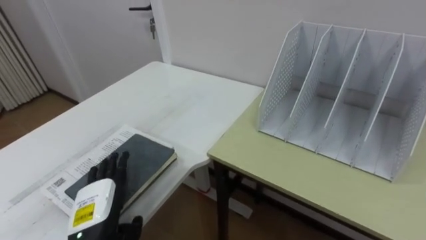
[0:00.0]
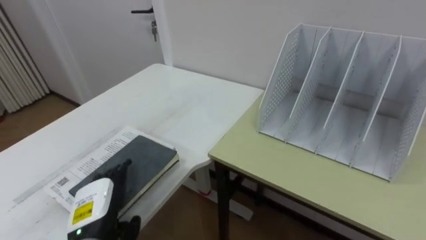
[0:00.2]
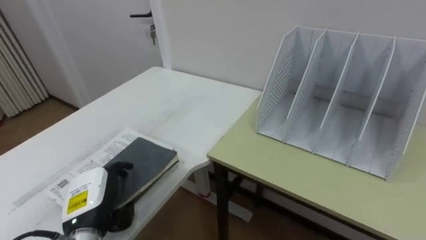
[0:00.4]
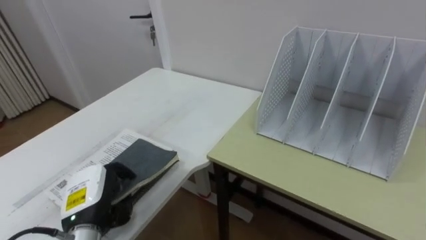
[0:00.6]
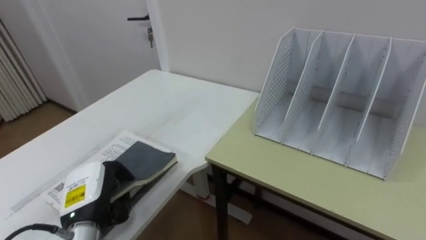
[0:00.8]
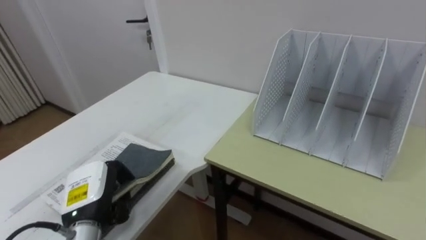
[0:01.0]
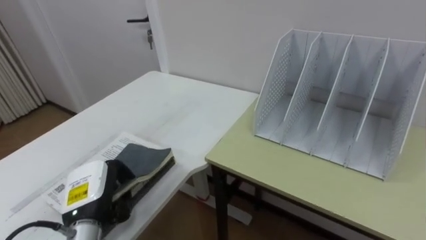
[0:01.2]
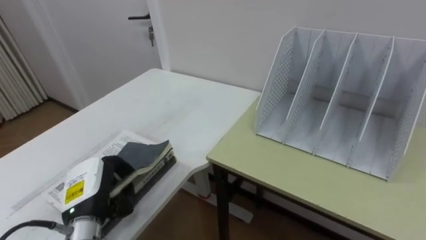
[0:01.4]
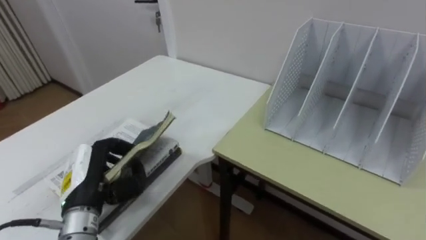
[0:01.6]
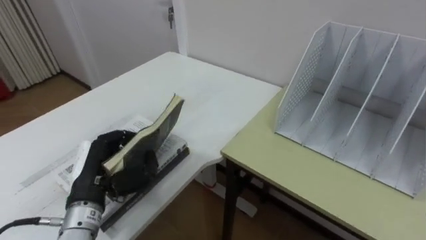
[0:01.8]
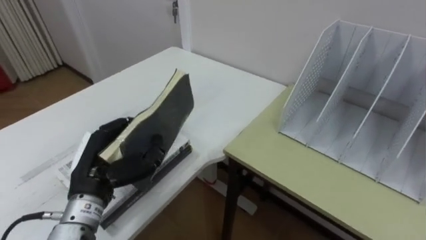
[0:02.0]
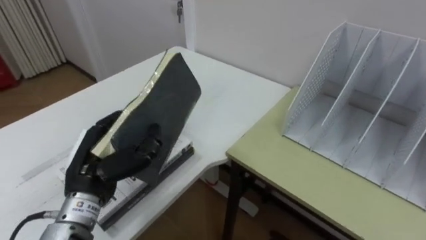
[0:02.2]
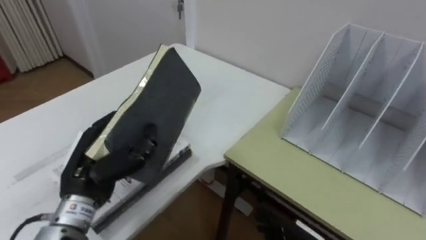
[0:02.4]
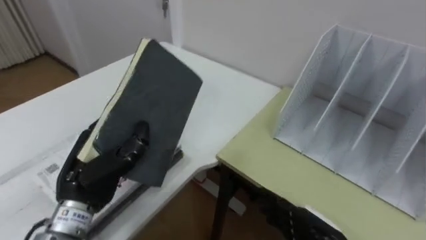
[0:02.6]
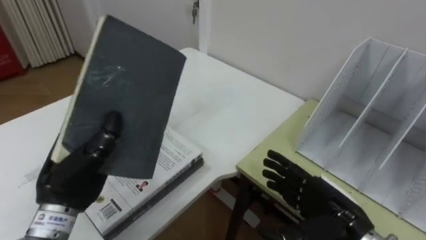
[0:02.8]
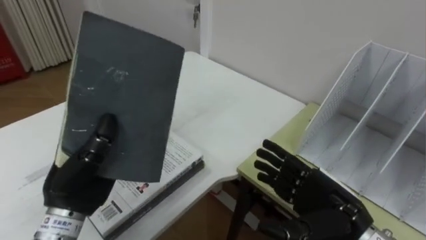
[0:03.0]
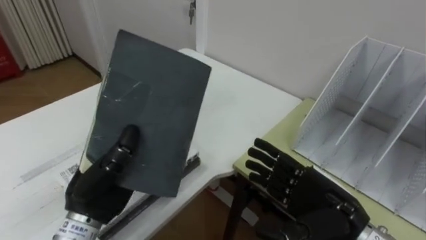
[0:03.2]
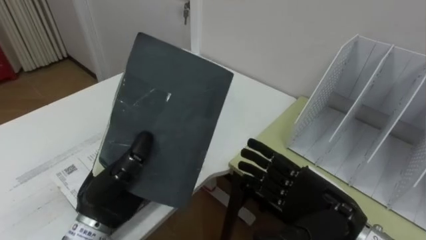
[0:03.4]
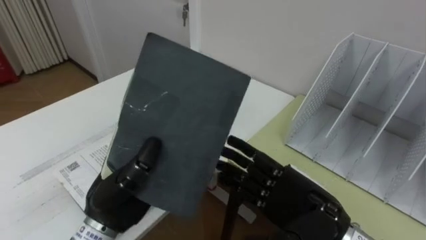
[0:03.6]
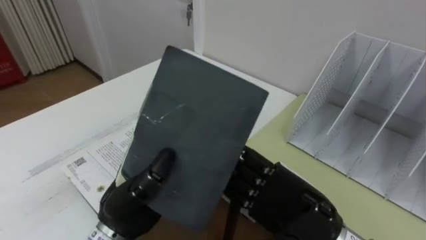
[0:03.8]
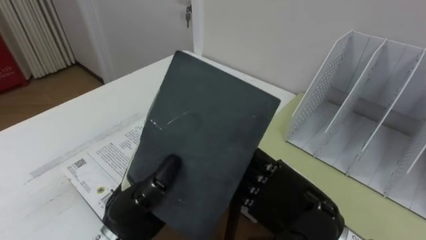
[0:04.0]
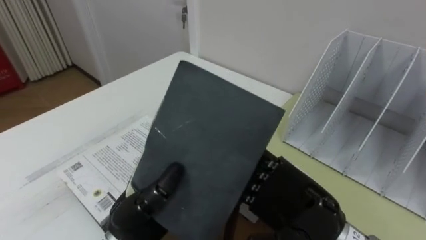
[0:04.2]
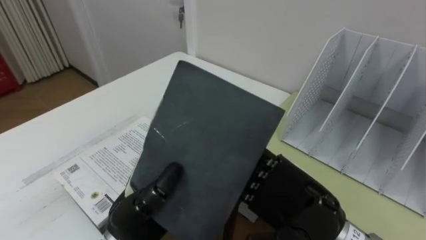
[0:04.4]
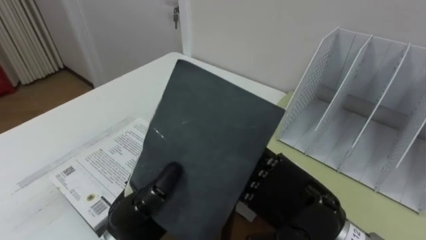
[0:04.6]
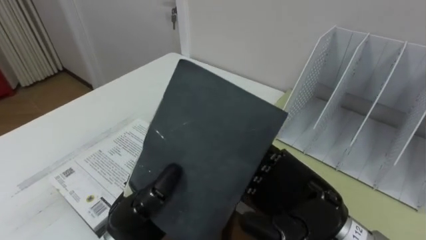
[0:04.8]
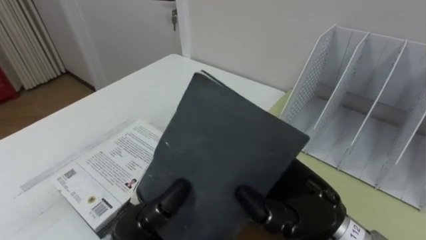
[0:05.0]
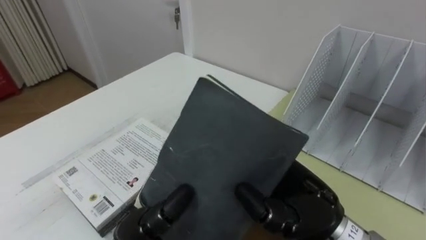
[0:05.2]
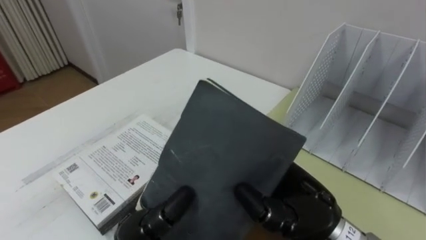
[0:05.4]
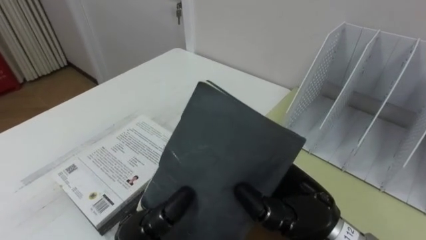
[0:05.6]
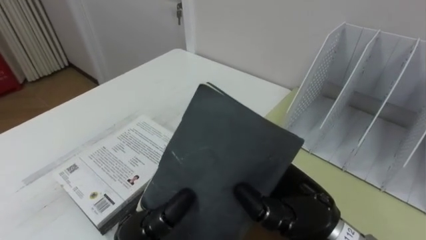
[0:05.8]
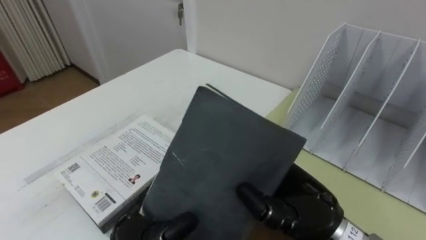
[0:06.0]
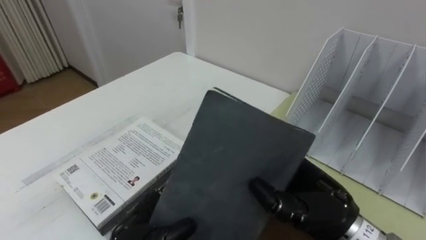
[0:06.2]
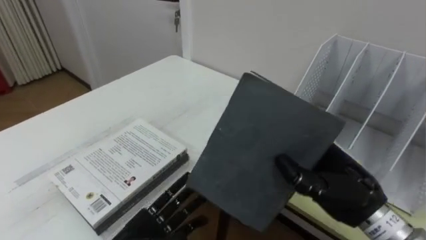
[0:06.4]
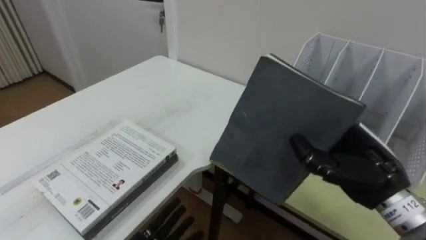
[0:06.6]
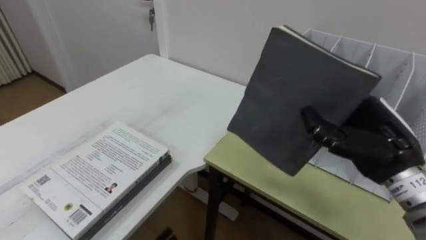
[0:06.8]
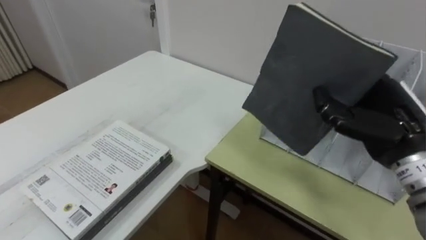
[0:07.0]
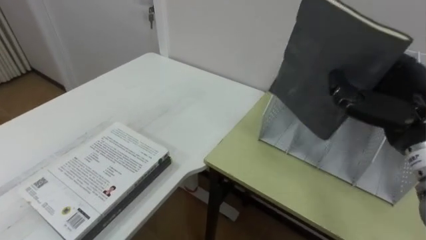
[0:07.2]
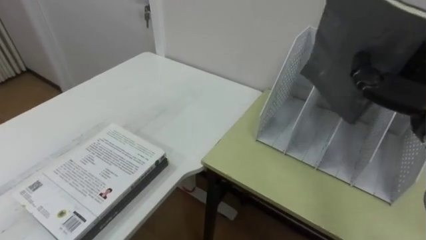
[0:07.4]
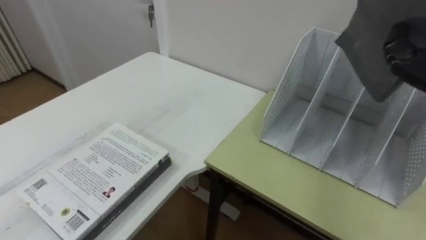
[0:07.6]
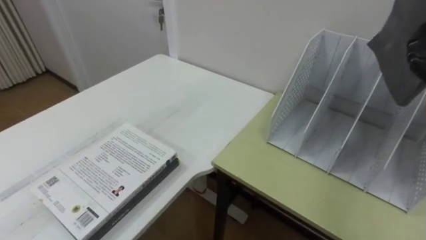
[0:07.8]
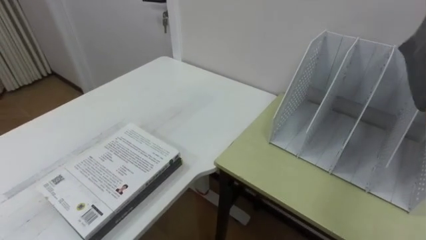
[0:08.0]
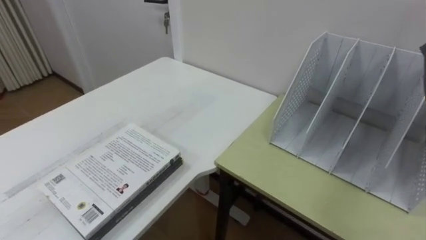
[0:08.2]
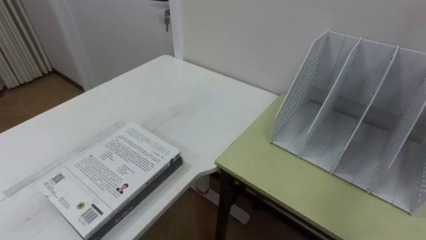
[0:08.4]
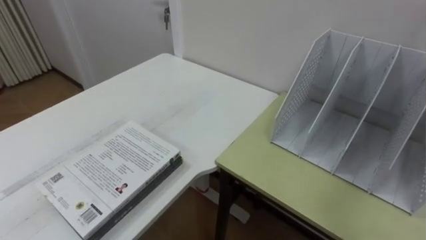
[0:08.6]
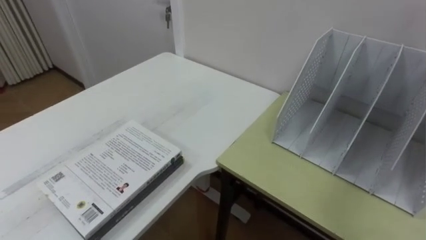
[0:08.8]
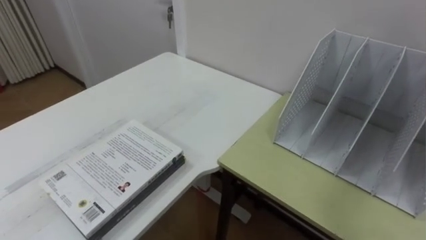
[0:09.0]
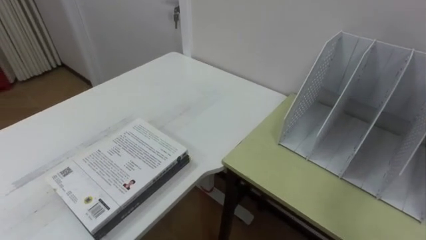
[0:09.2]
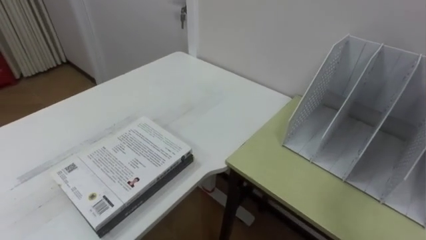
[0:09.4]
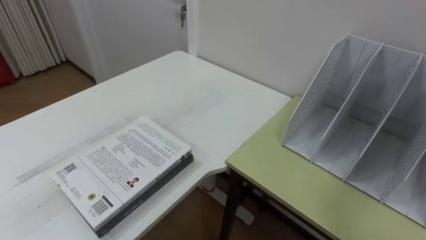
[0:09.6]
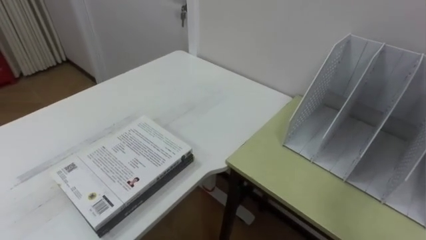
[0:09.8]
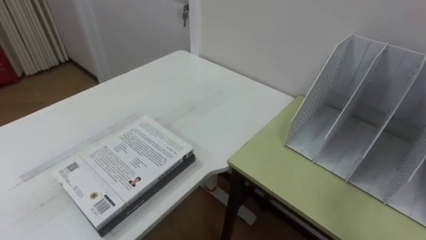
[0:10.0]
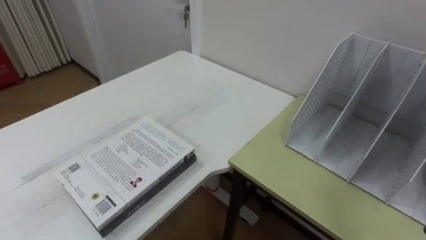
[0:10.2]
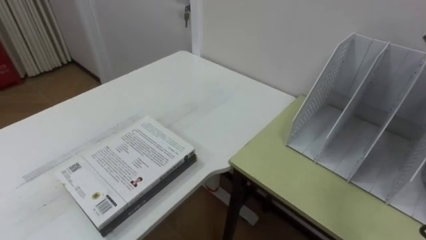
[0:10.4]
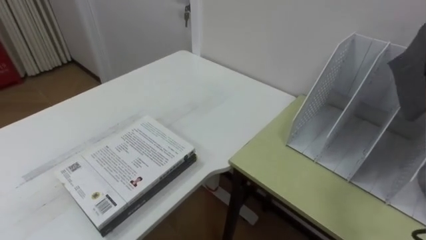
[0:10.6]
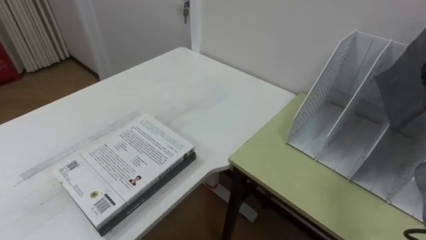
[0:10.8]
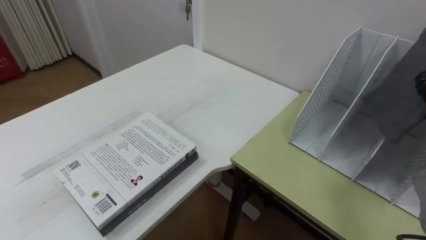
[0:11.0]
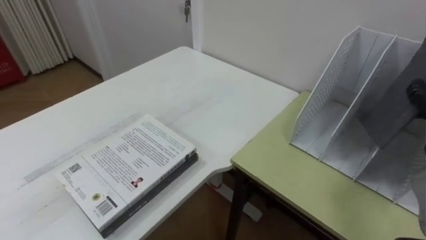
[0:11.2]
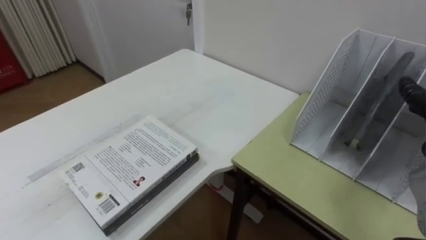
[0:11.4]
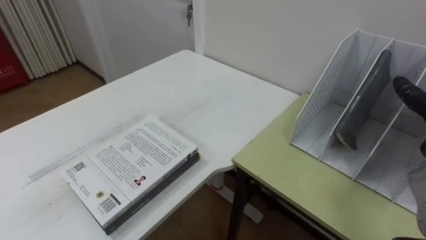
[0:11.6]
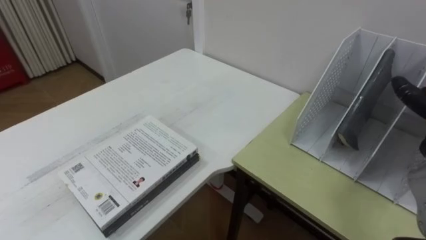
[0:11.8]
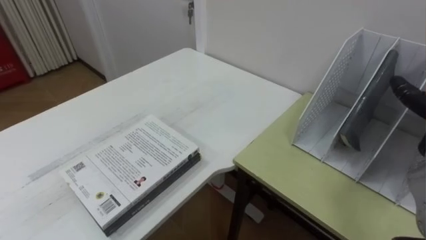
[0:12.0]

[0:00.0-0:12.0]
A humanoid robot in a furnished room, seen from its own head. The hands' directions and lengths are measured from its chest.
Task of the whole recording: Put the books on the table onto the bookshelf.
0:00.0 to 0:01.6: The left hand moves approximately 5 cm, and closes up.
0:01.6 to 0:03.0: The left hand heads upward, covering about 5 cm.
0:03.0 to 0:04.4: The left hand shifts about 10 cm to the right. Meanwhile the right hand goes approximately 10 cm to the left and upward.
0:04.4 to 0:06.0: The right hand closes.

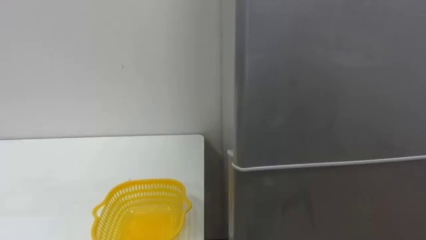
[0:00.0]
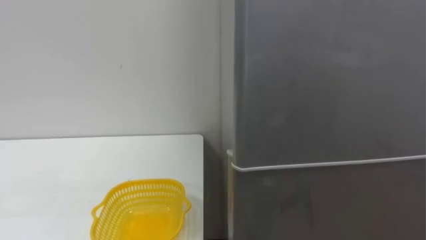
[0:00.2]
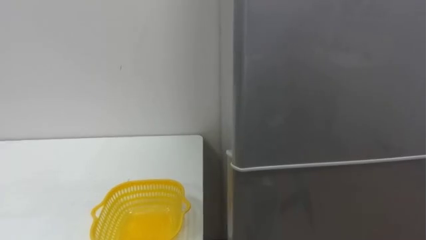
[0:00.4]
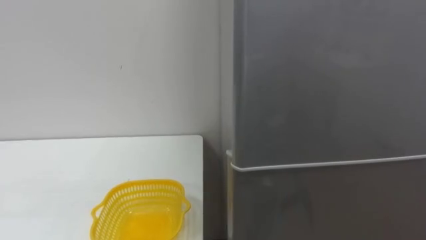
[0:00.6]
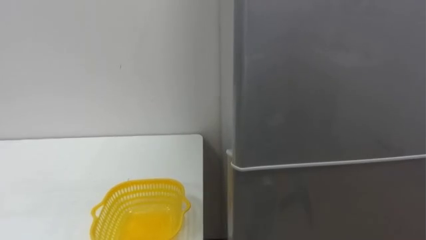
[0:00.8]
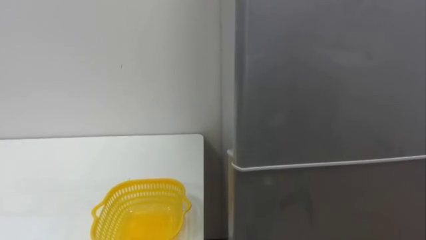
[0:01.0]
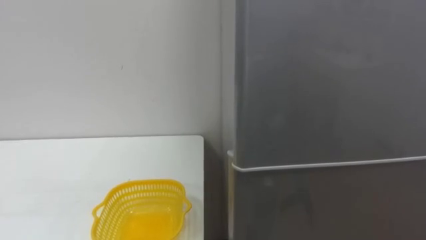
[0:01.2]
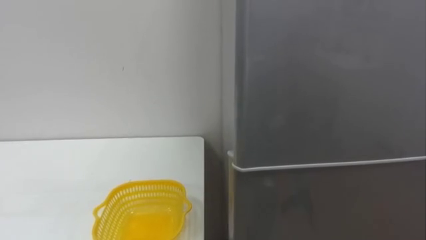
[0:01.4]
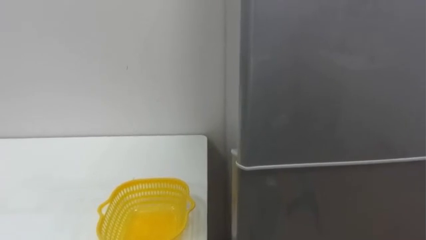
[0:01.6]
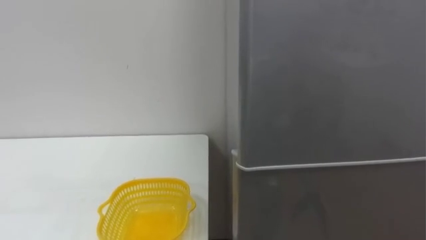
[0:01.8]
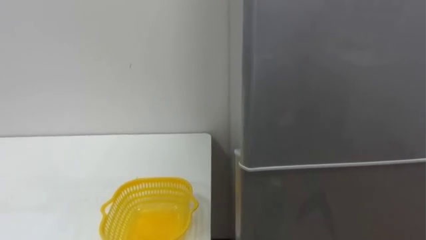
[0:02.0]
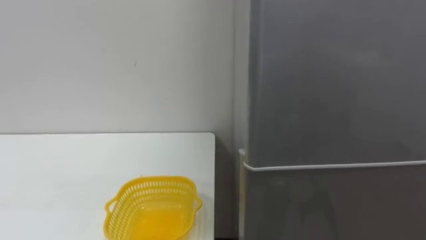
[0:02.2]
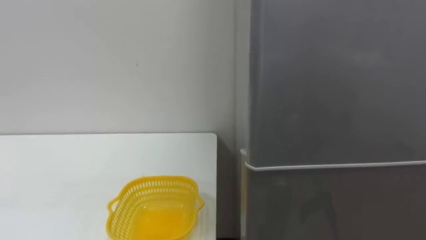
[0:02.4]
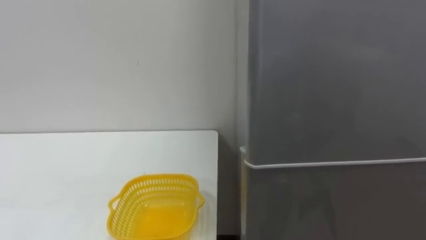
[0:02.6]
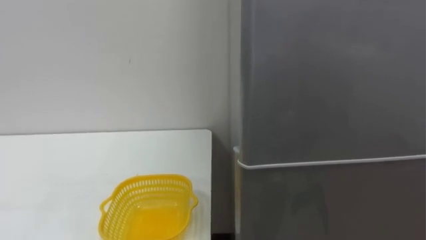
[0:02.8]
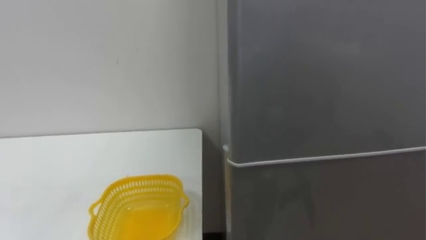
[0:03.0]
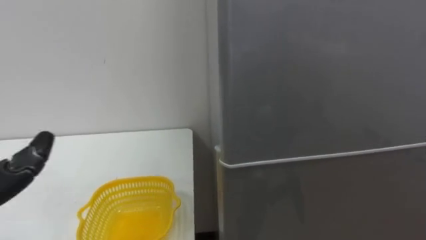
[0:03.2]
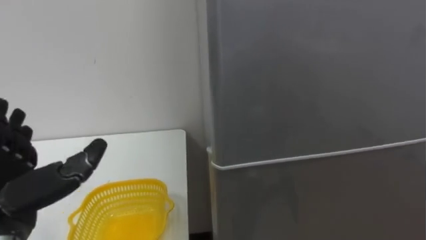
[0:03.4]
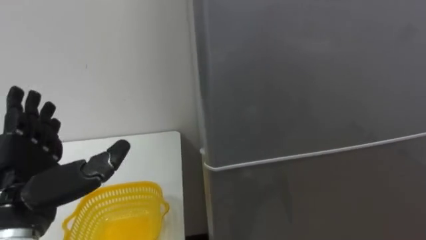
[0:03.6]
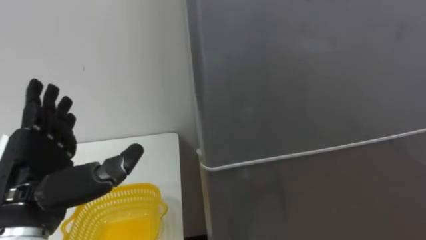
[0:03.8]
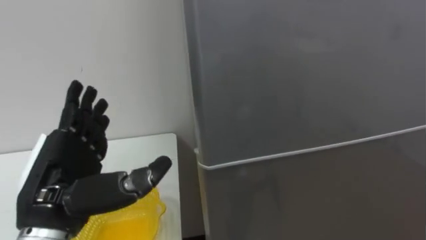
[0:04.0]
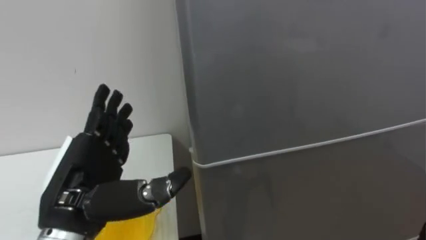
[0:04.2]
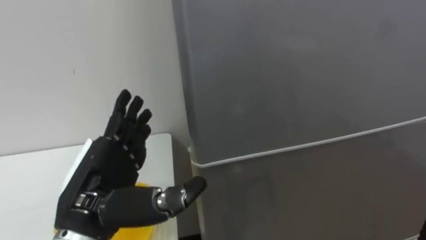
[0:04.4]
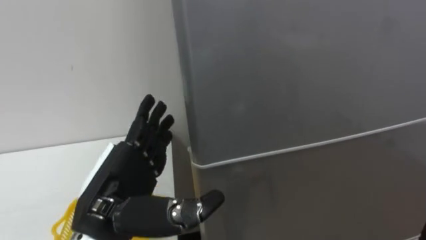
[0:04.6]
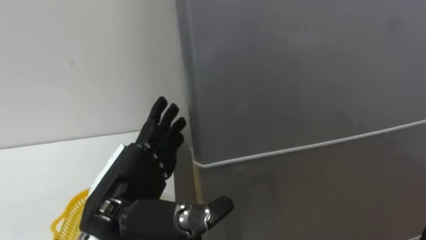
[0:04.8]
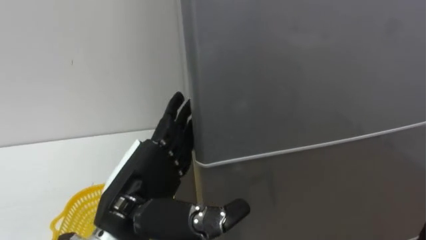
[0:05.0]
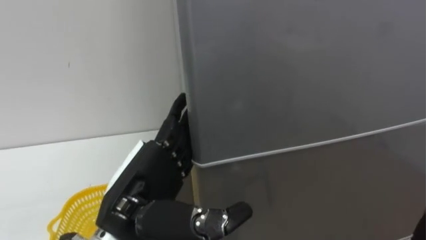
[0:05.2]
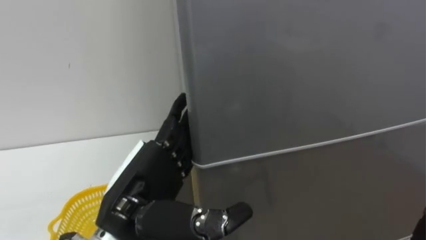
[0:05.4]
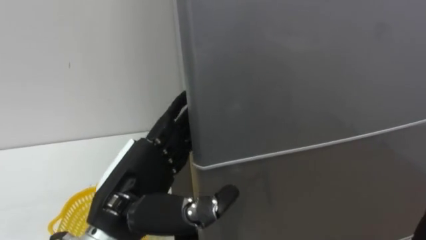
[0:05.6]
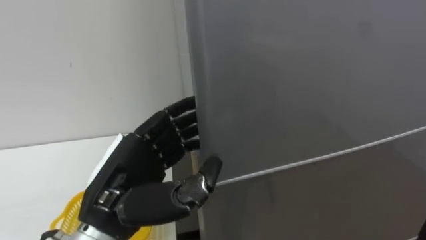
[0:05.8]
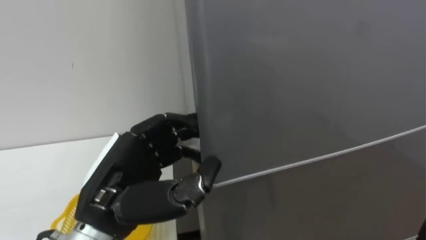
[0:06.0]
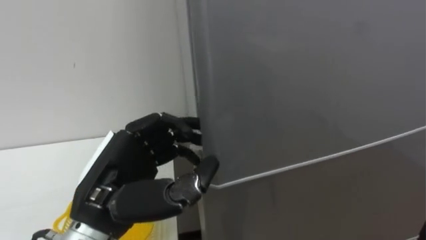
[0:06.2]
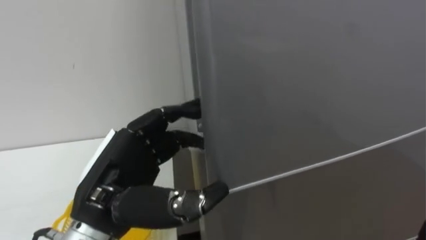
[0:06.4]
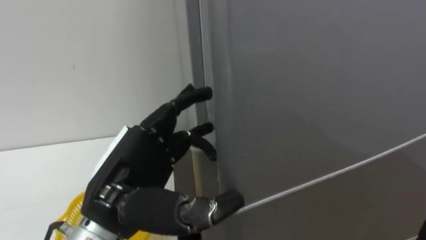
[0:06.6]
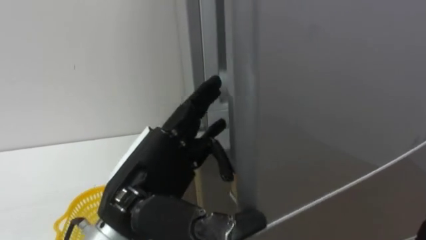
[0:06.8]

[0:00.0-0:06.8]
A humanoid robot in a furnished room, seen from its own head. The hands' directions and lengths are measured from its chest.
Task of the whole recording: Open the refrigerator door, take out the apple and the pomegranate, place them in the fruit basket on the left, and close the refrigerator door.
0:04.0 to 0:05.4: The left hand travels to the right by roughly 10 cm.
0:05.4 to 0:06.8: The left hand closes, then opens again.
